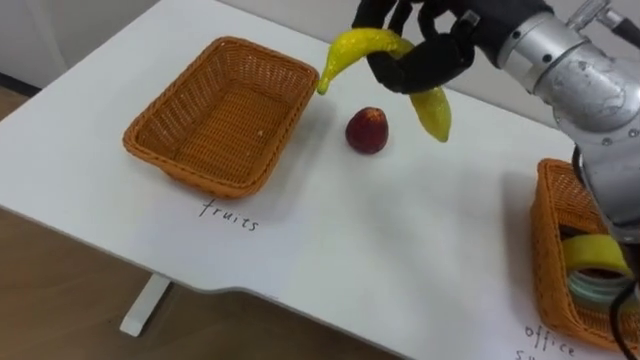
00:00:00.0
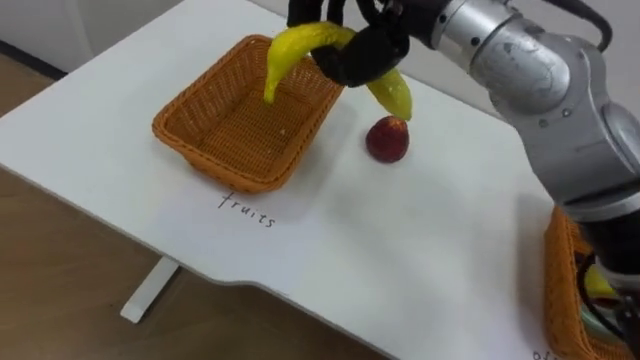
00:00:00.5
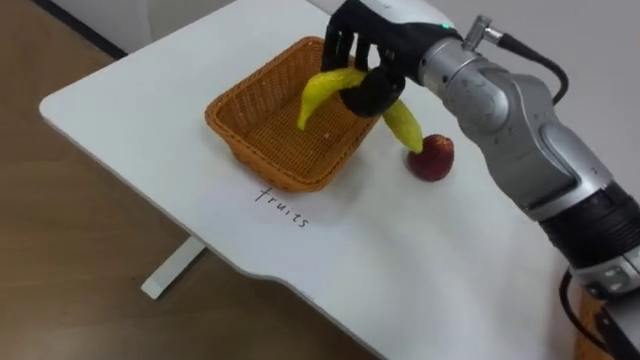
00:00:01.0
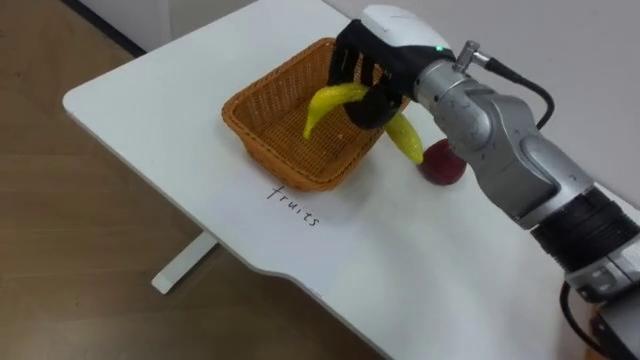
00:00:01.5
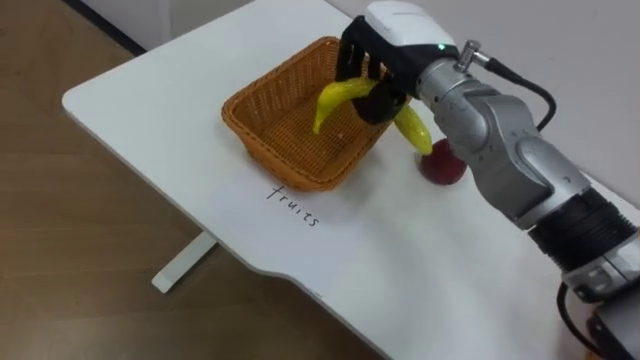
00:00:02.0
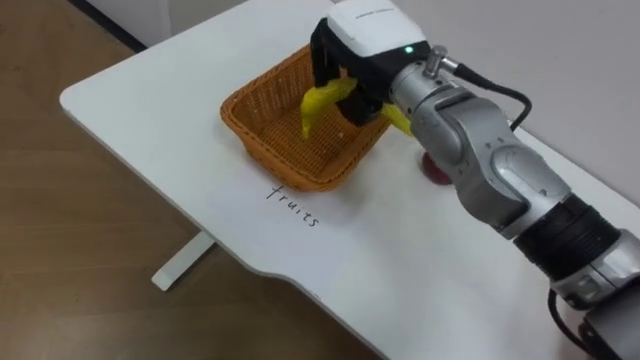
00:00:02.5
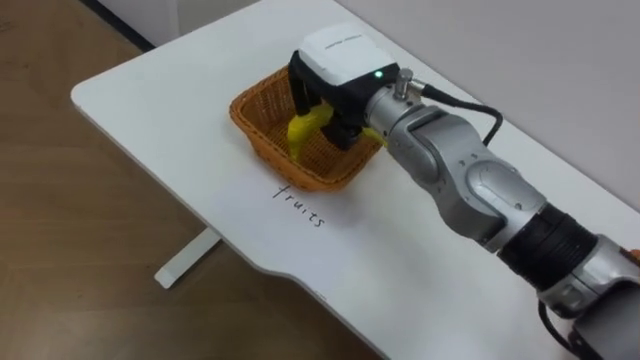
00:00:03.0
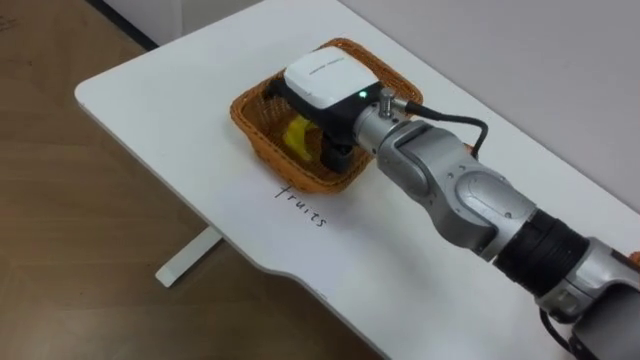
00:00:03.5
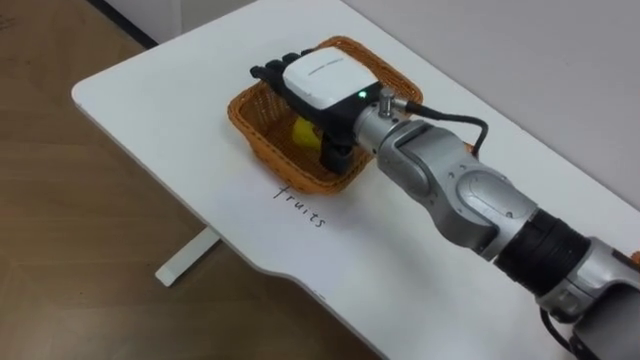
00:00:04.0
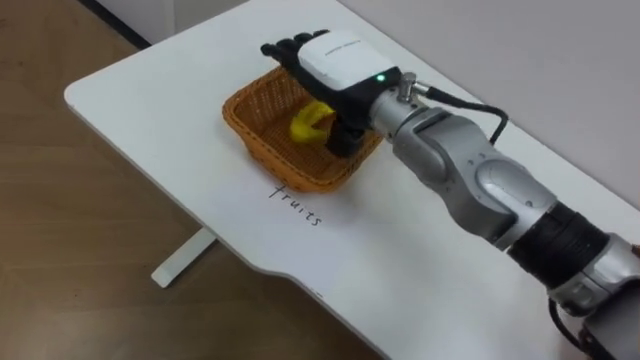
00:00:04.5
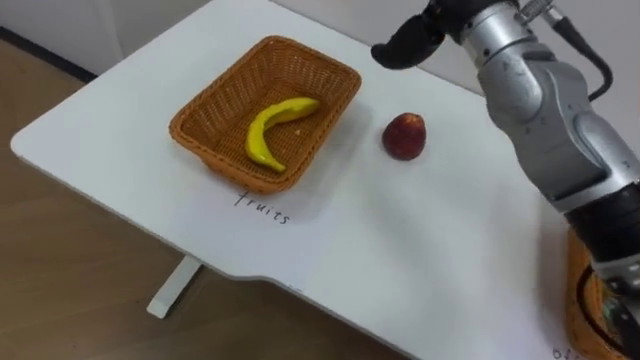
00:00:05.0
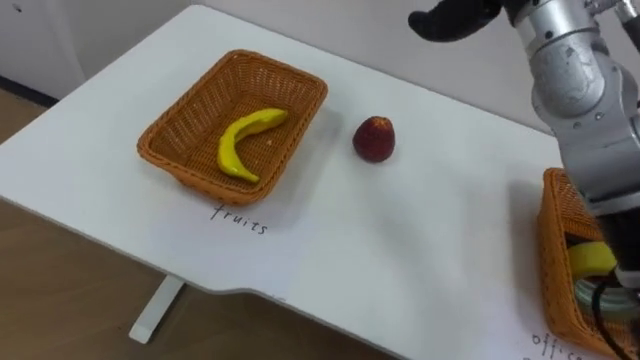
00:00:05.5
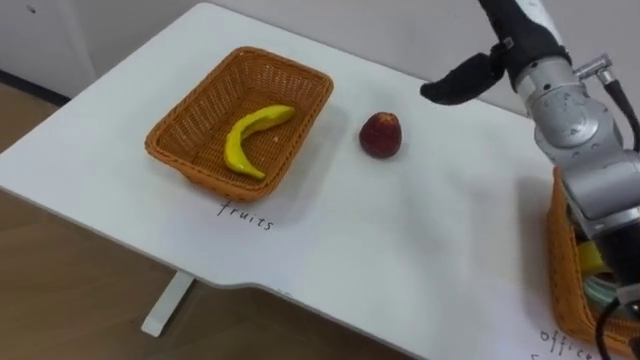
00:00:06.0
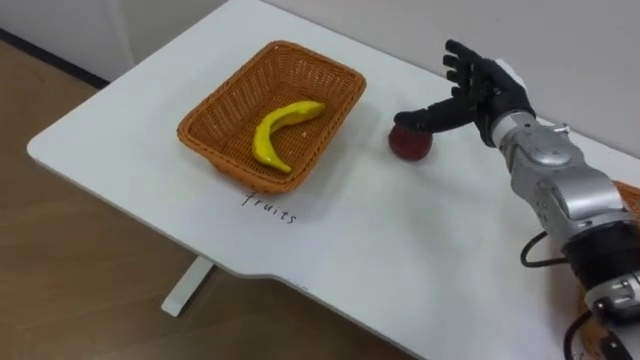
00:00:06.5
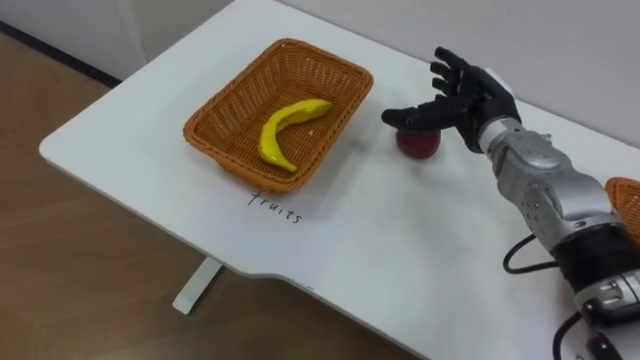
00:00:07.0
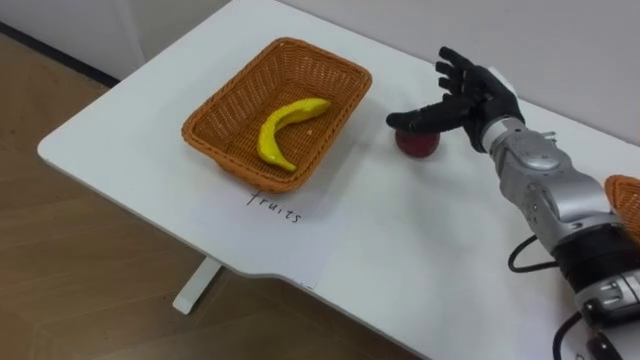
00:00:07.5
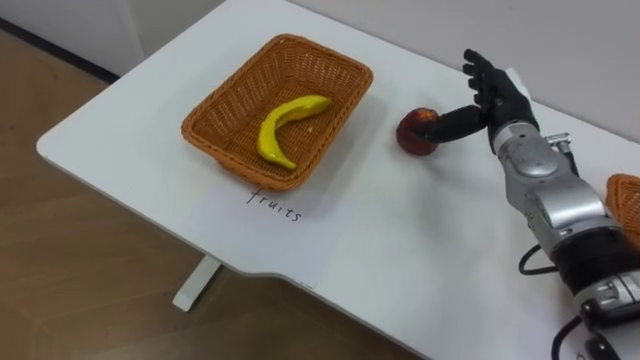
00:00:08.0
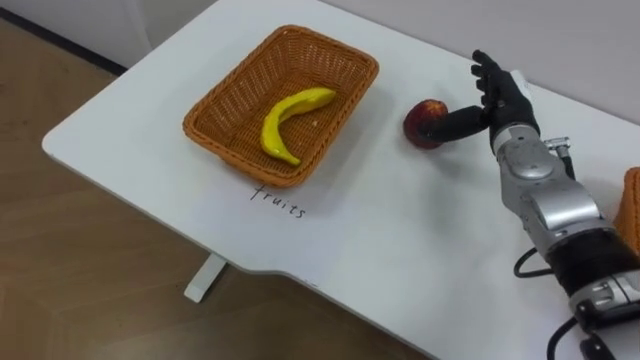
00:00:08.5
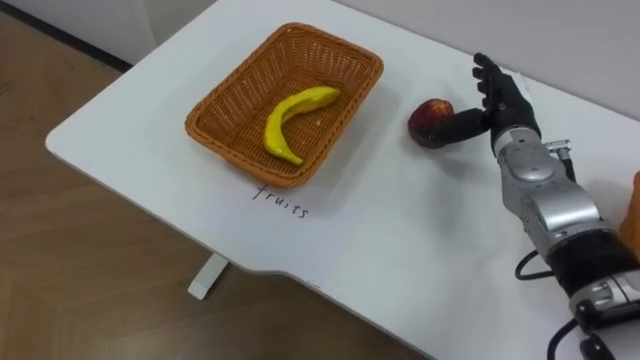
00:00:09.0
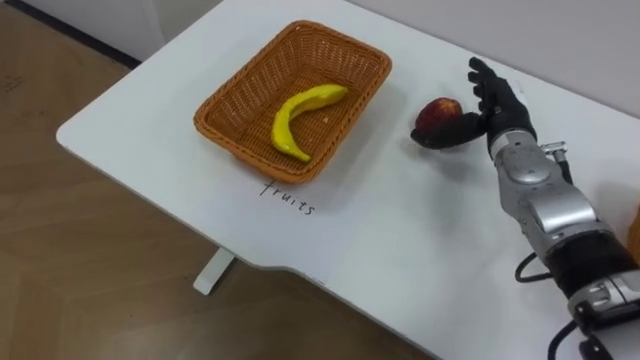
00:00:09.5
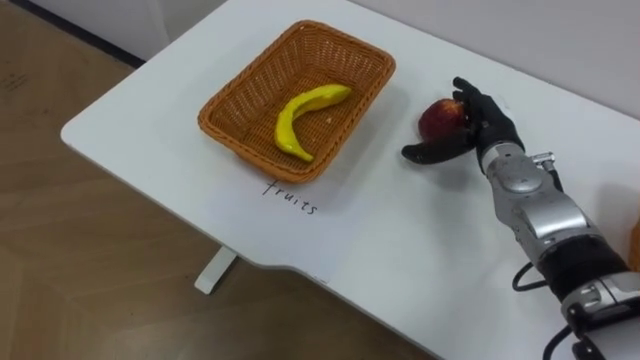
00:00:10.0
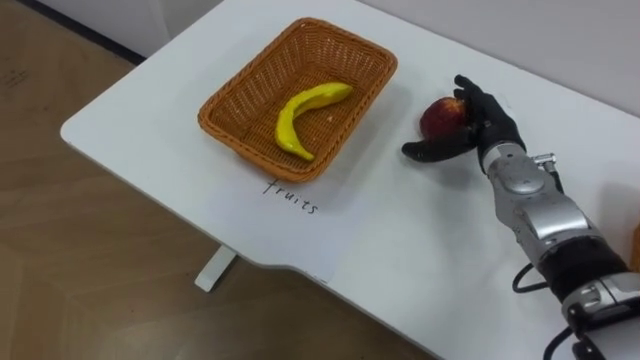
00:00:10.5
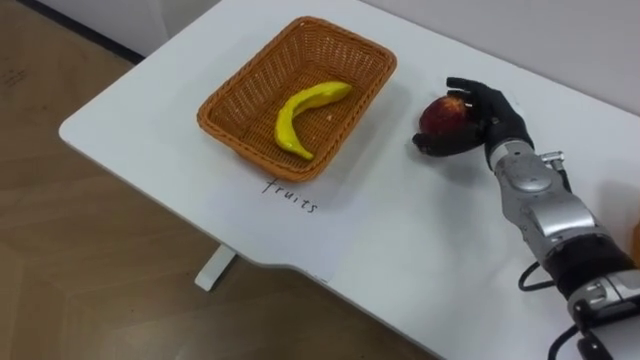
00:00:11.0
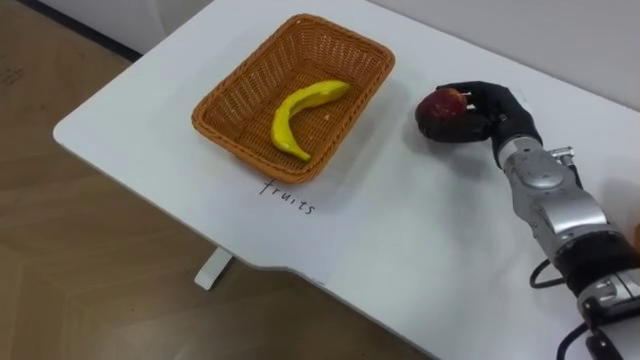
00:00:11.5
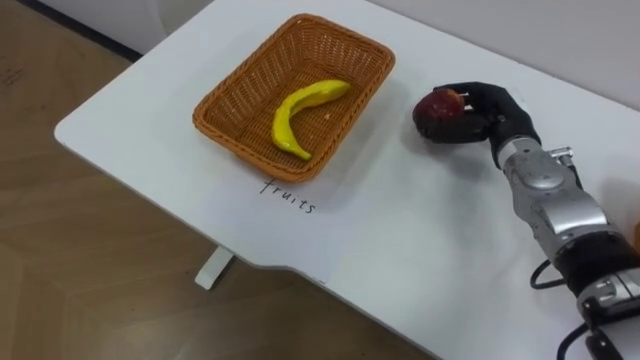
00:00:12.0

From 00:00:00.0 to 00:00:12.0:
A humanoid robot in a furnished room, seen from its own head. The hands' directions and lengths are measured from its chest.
Task of the whole recording: Separate the items on the table and place them into the two baskets.
From 00:00:02.0 to 00:00:04.0: The right hand shifts approximately 5 cm to the left, and opens up.
From 00:00:06.0 to 00:00:08.0: The right hand travels downward by about 10 cm.
From 00:00:10.0 to 00:00:12.0: The right hand closes its fingers.

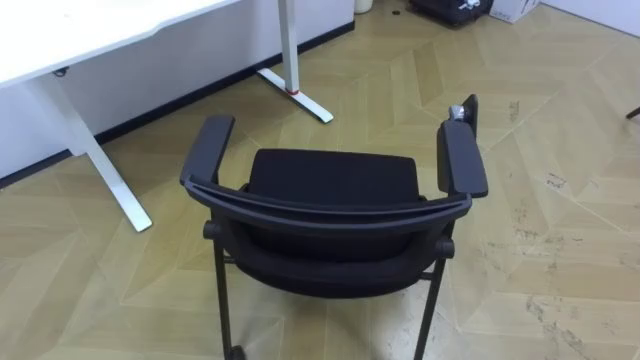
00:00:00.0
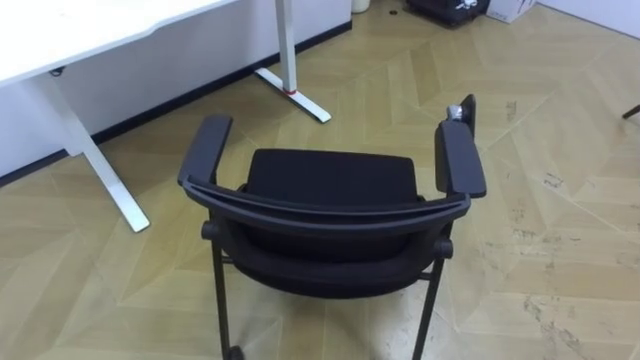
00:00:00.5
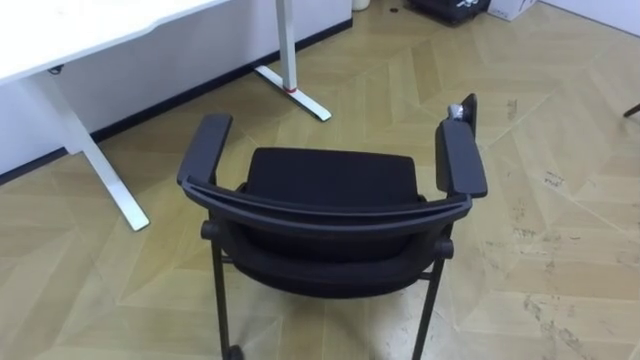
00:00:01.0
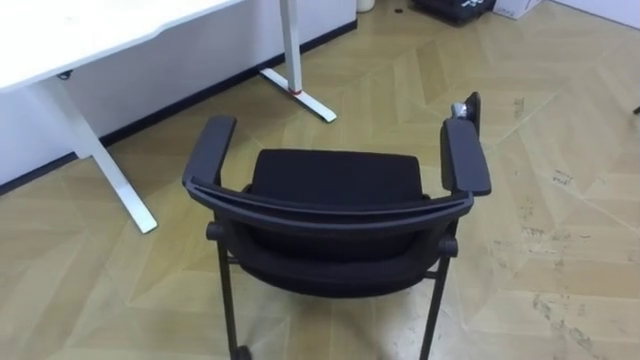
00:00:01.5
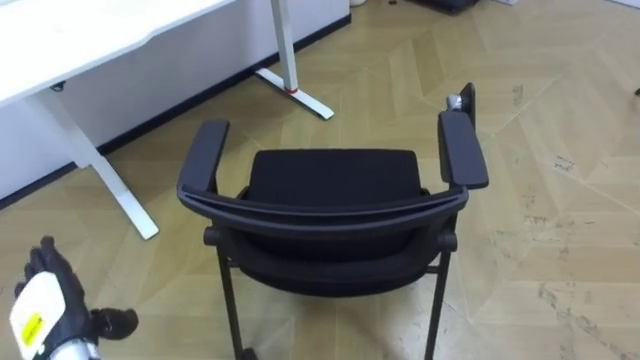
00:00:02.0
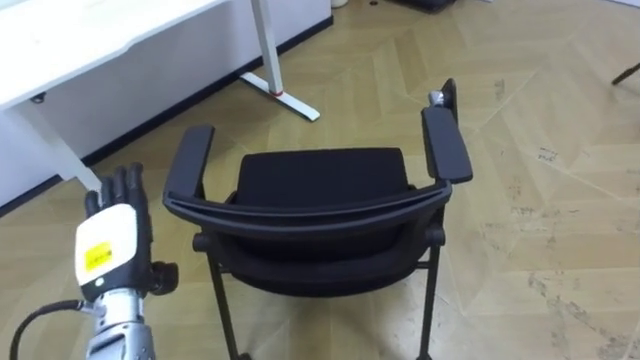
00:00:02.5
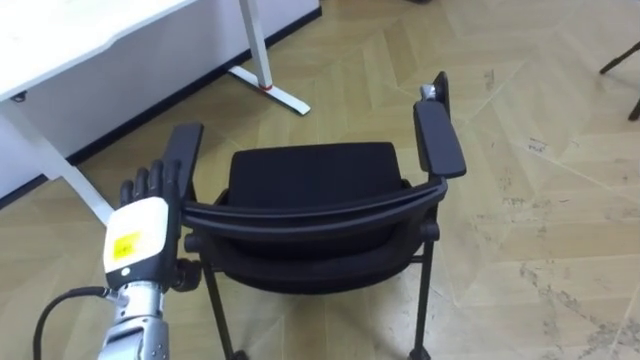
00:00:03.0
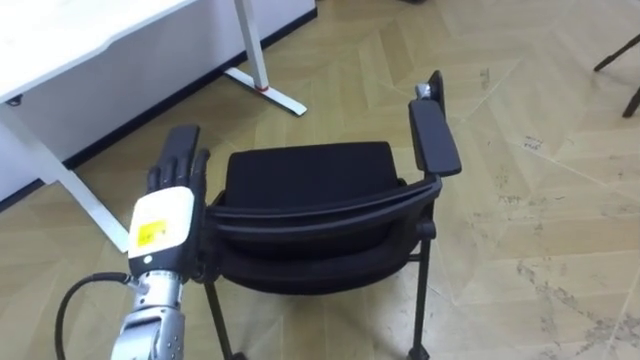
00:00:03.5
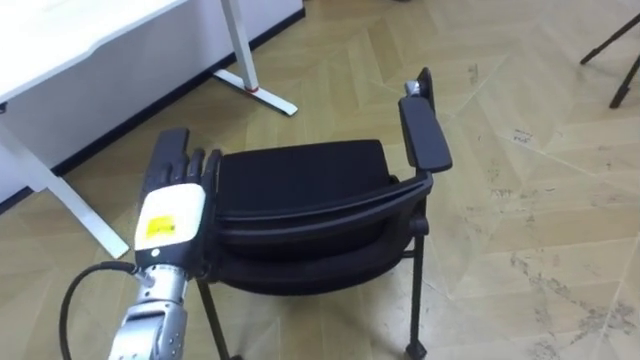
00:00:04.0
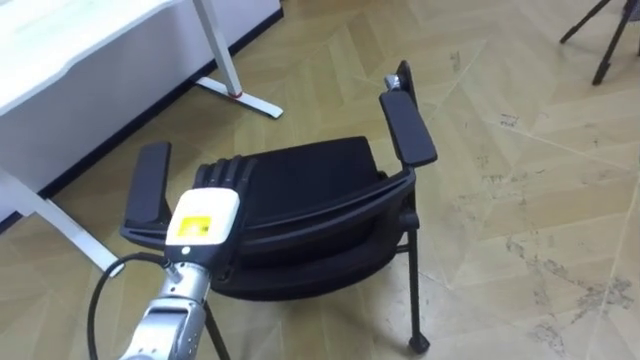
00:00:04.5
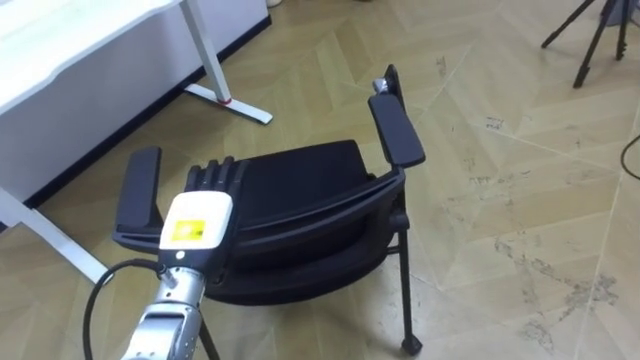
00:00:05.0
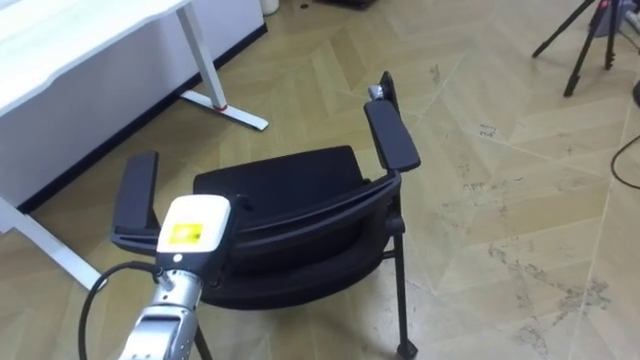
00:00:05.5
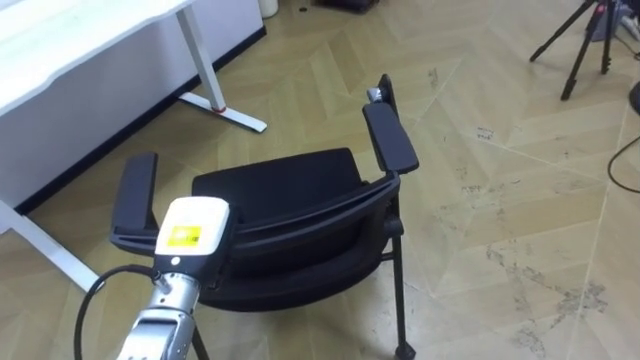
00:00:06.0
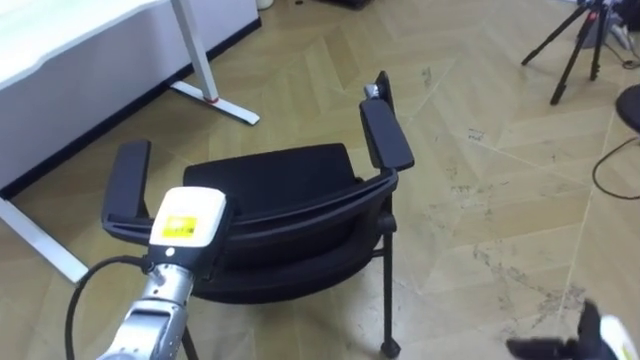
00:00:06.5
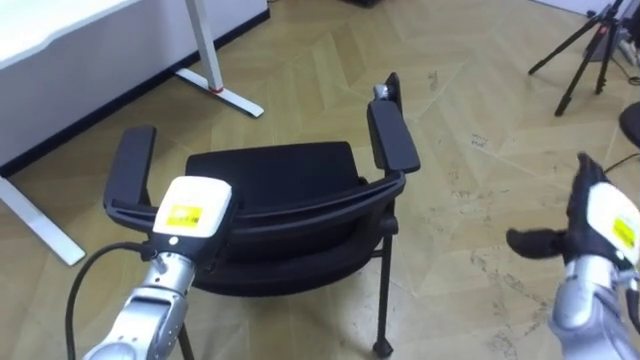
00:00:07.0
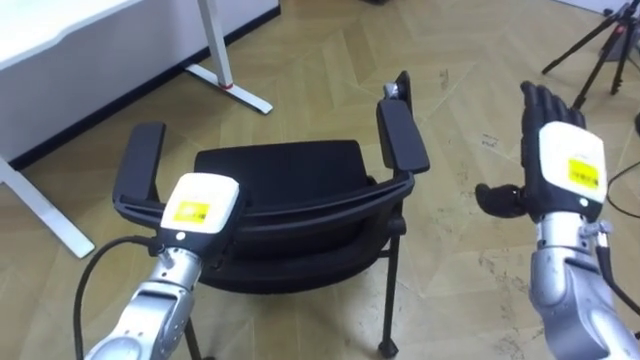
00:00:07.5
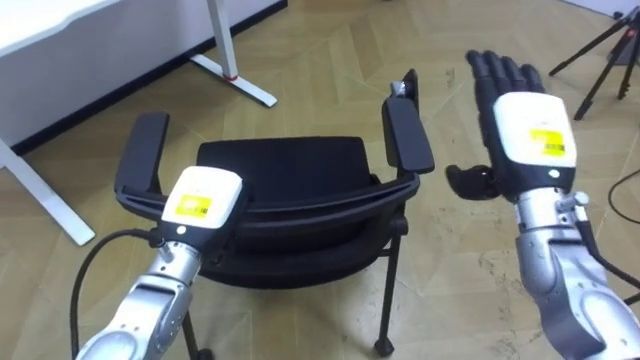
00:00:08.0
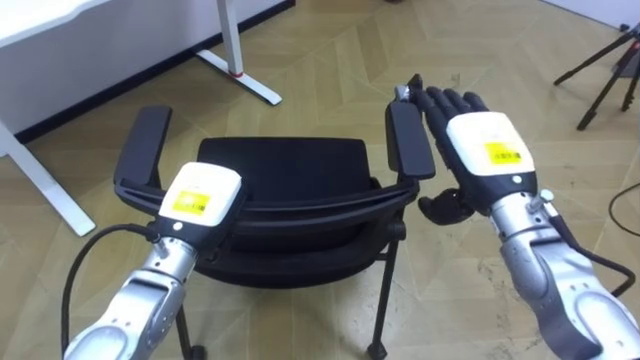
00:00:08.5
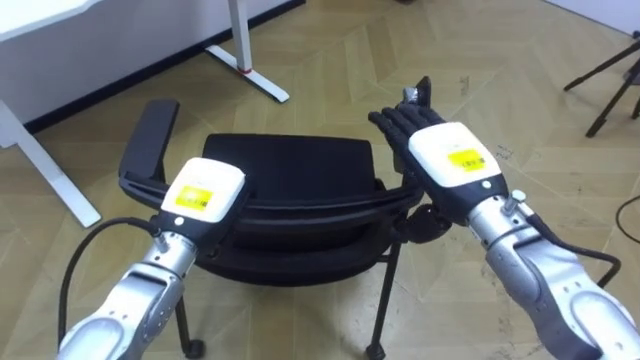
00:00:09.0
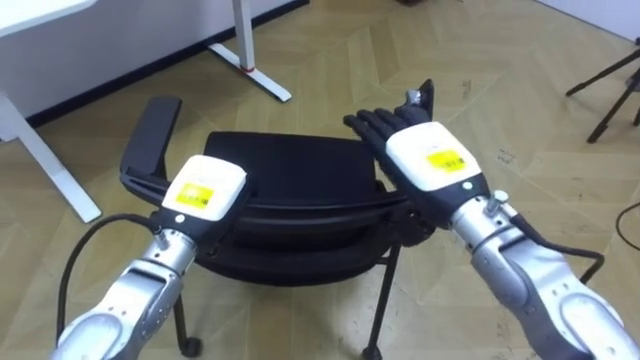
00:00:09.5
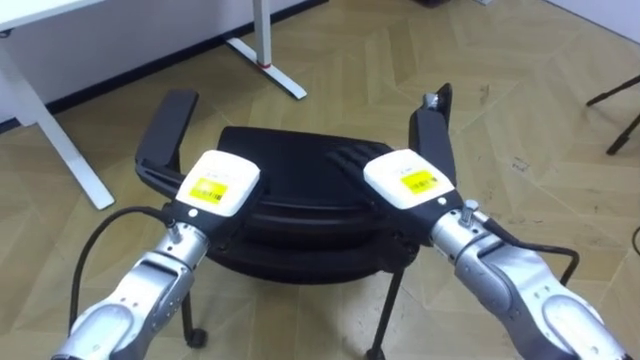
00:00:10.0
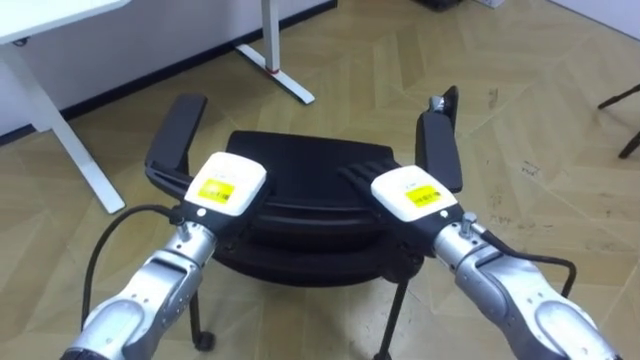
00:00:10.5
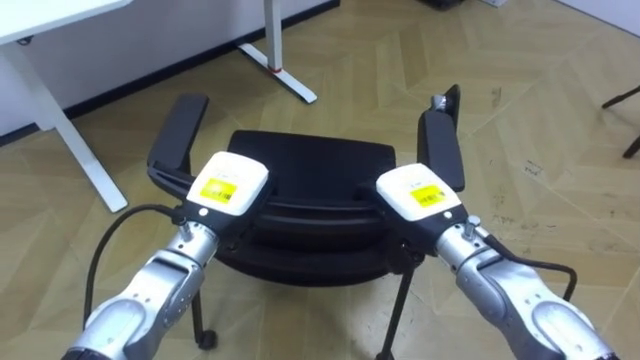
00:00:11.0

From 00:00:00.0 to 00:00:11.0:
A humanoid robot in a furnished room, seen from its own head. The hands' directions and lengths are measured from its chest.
Task of the whole recording: Push the chair under the table.
From 00:00:02.0 to 00:00:03.5: The left hand moves to the right, forward and upward, roughly 15 cm.
From 00:00:03.5 to 00:00:05.5: The left hand closes up.
From 00:00:05.5 to 00:00:07.5: The left hand closes up.
From 00:00:07.5 to 00:00:09.0: The right hand travels to the left by about 10 cm.
From 00:00:09.0 to 00:00:11.0: The right hand shifts approximately 5 cm downward.
